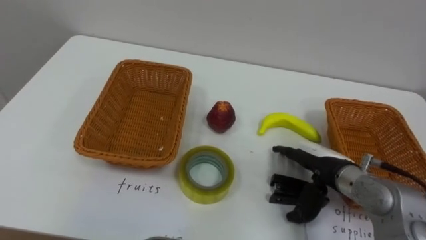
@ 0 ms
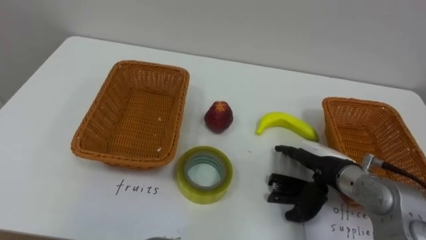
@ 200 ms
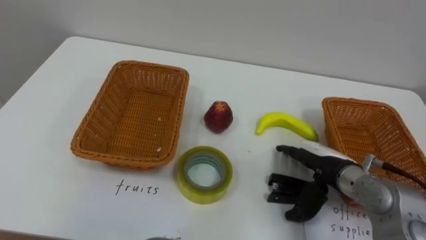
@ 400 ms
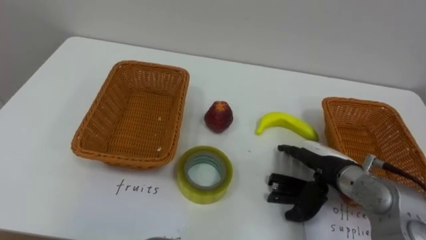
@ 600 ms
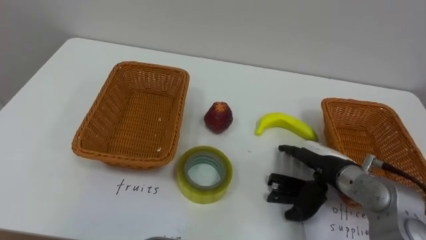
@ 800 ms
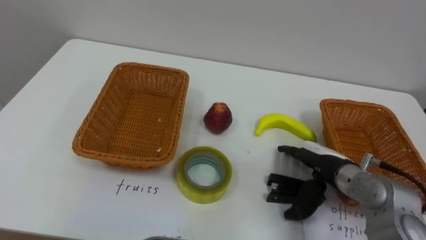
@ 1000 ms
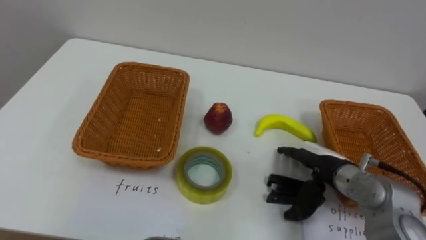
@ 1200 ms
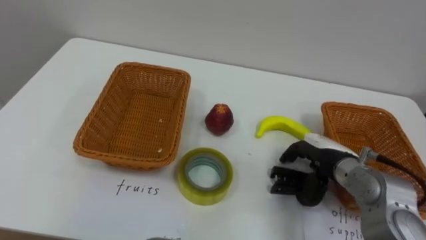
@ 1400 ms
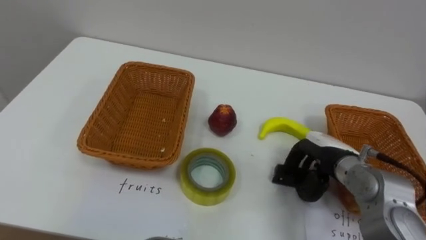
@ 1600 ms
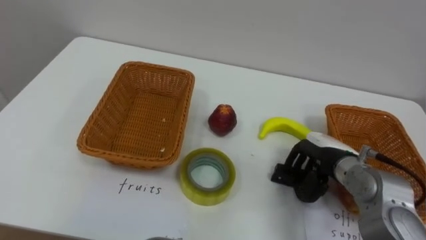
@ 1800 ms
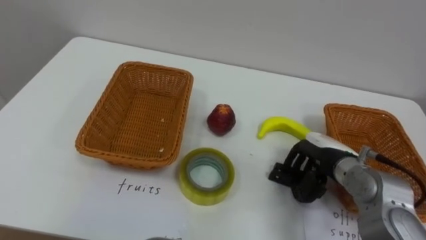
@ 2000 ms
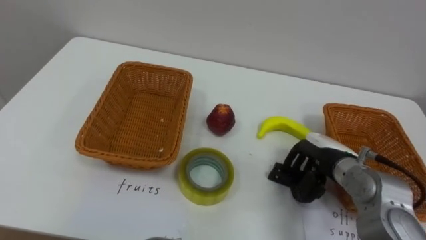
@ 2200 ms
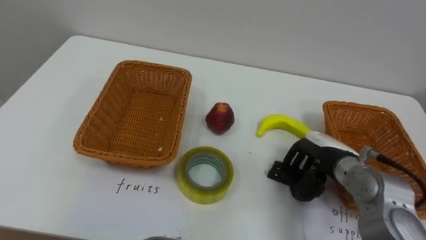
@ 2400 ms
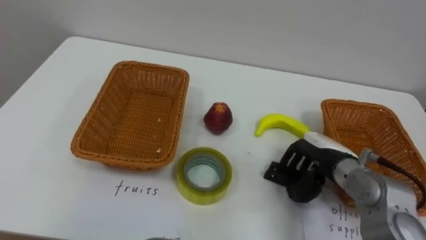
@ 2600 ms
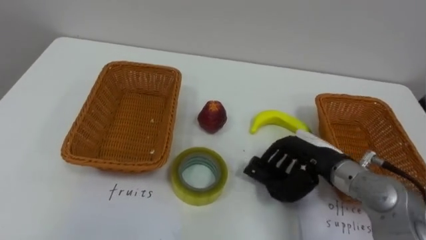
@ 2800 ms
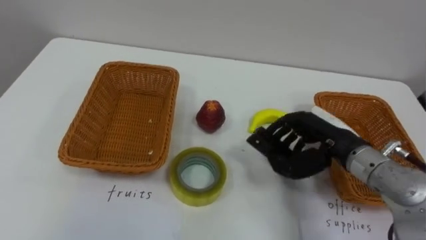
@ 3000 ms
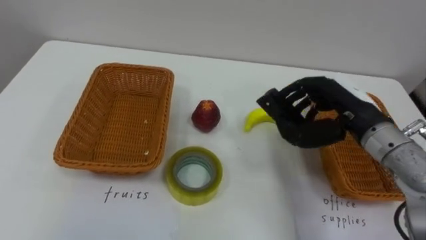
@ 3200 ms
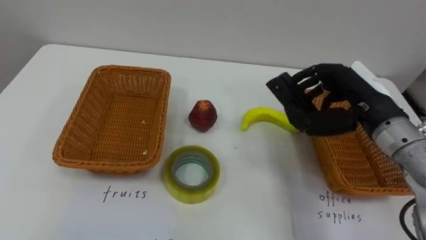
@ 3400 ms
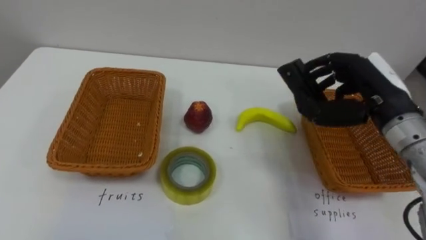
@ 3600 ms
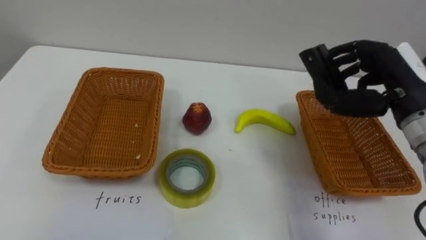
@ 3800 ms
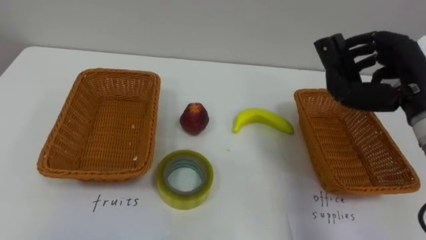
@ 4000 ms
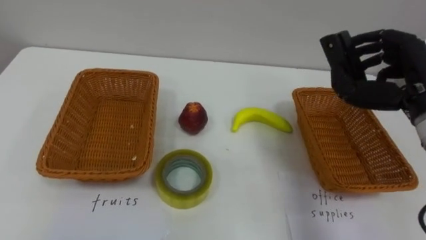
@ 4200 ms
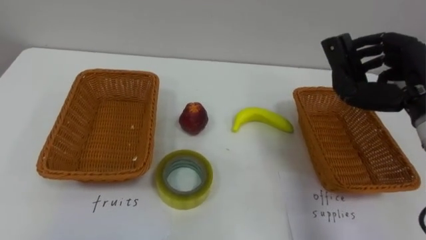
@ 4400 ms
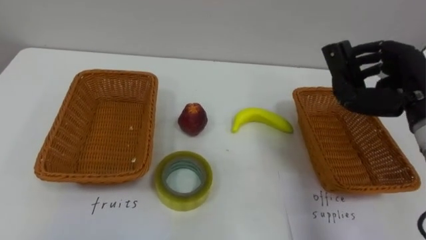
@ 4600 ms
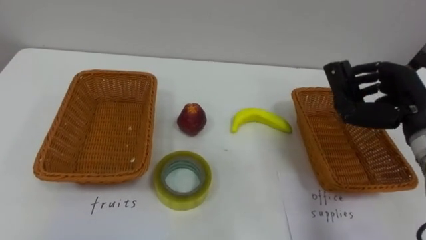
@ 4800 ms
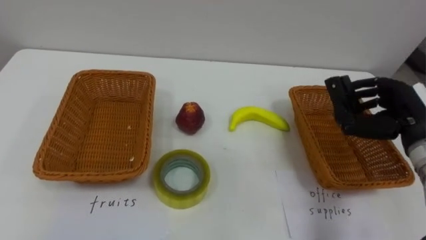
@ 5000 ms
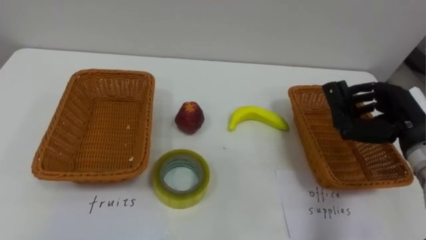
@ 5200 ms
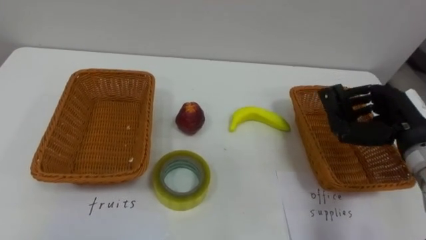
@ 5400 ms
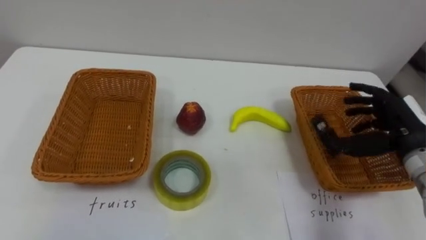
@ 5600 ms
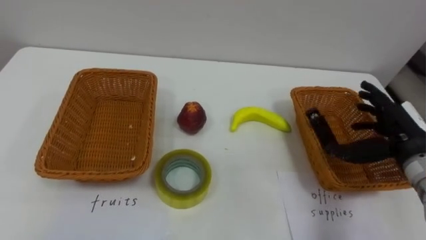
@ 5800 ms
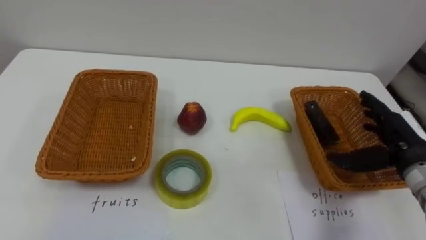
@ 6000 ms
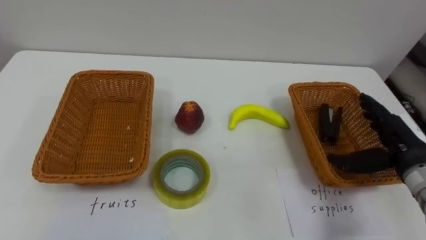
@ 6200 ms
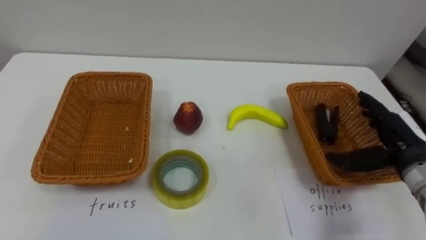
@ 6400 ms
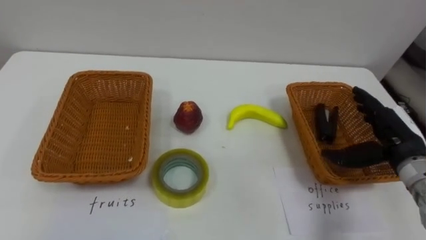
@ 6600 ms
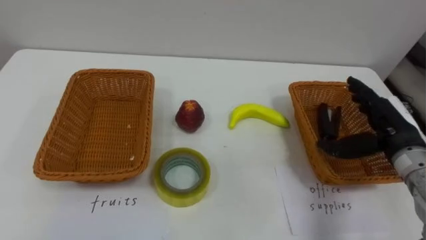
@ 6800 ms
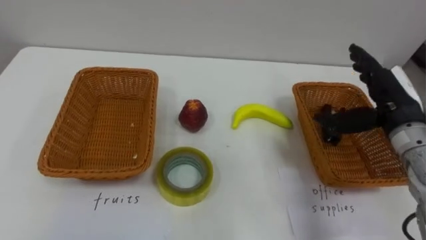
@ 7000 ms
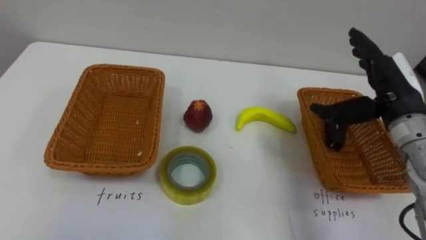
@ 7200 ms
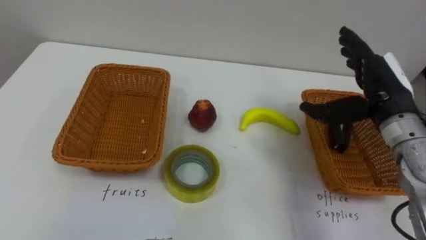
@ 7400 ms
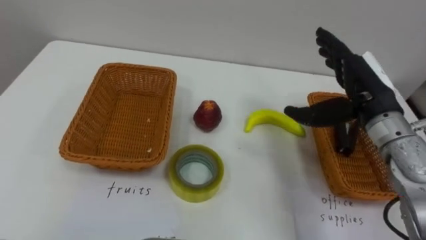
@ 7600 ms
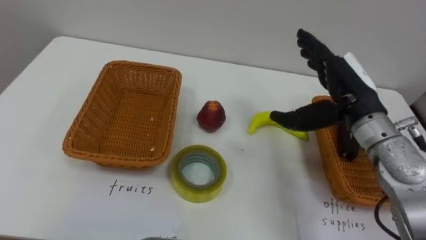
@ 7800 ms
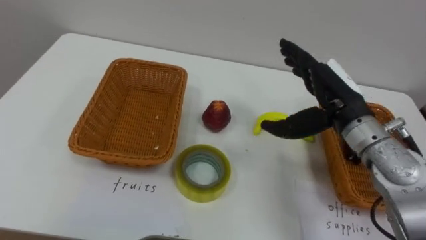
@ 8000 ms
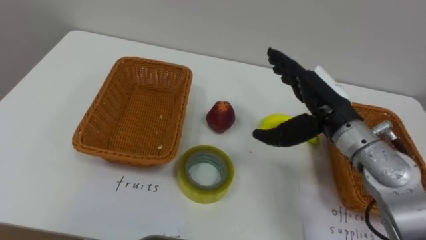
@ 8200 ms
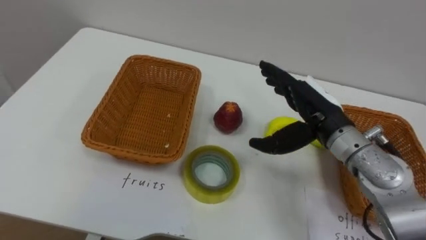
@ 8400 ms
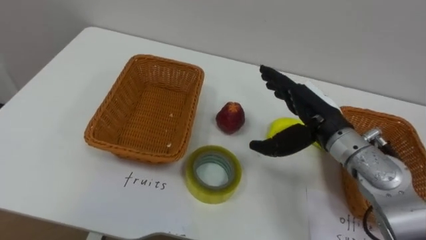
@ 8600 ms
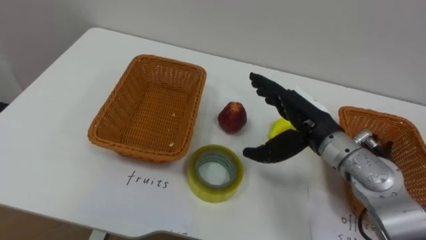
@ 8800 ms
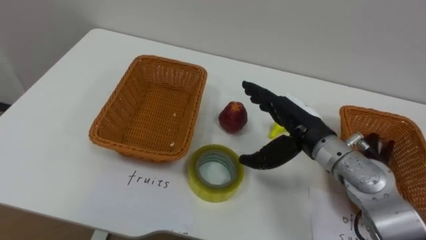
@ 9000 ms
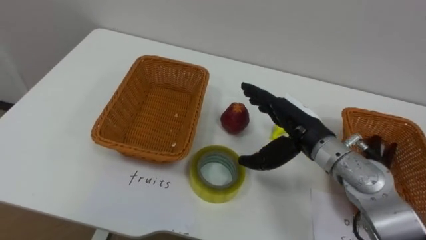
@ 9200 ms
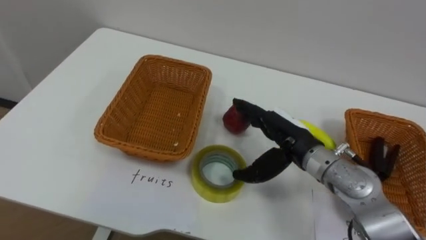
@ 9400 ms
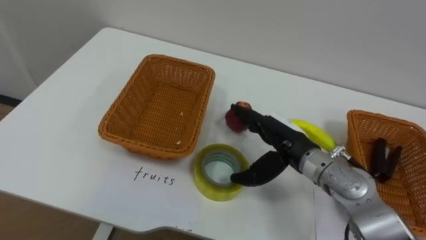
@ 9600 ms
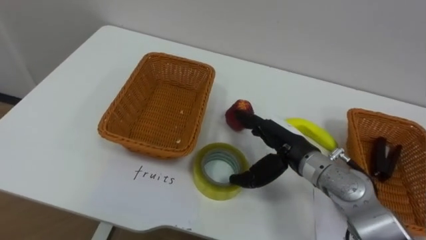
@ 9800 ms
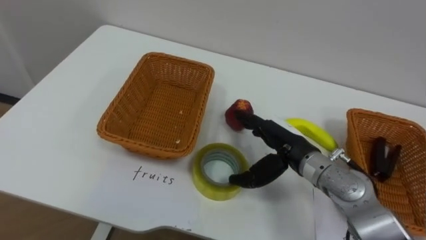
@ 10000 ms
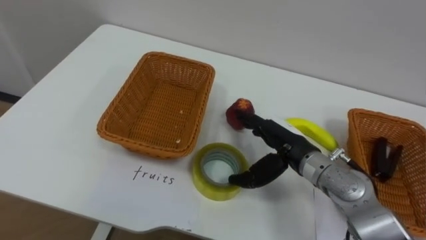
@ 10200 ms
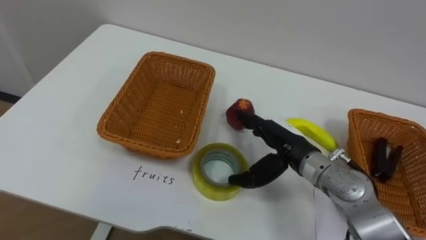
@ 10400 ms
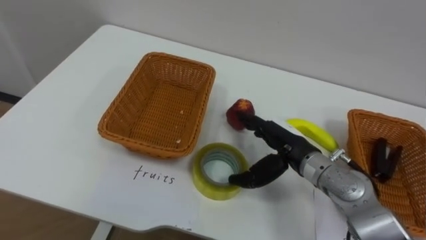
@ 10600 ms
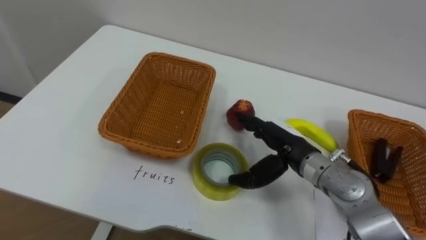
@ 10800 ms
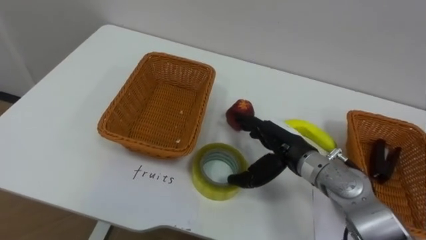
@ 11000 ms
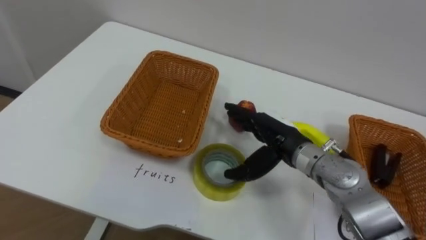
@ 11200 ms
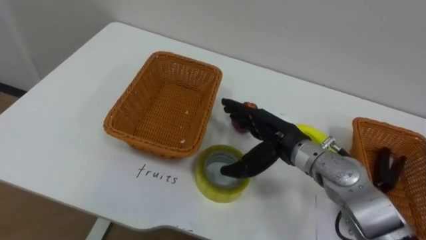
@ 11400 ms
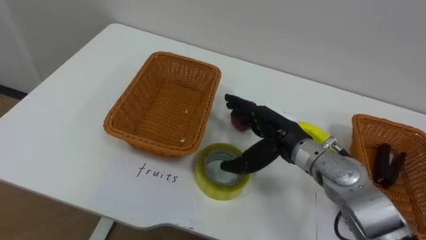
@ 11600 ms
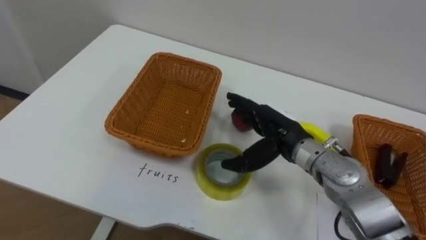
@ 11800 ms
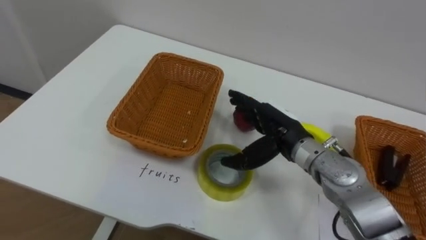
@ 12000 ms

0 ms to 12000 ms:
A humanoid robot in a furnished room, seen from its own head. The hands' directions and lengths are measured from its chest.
Task of the whole recording: Separate the items on the table and place them into the two baskets.
0 ms to 1600 ms: The right hand closes.
1600 ms to 3000 ms: The right hand is displaced upward by some 5 cm.
3000 ms to 4400 ms: The right hand is displaced to the right and upward by some 15 cm.
4400 ms to 6000 ms: The right hand shifts approximately 10 cm downward, and opens.
6000 ms to 7600 ms: The right hand goes roughly 10 cm to the left and upward.
7600 ms to 9000 ms: The right hand travels to the left and downward by some 10 cm.
9000 ms to 10400 ms: The right hand shifts by approximately 5 cm.

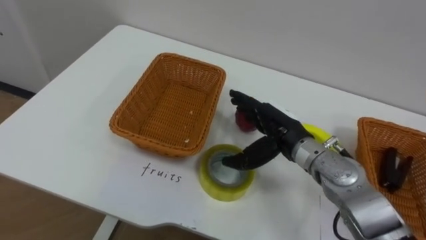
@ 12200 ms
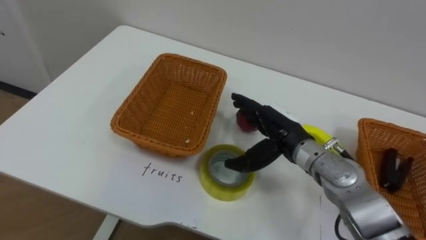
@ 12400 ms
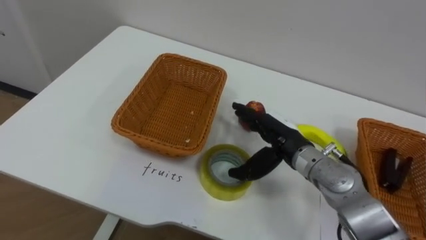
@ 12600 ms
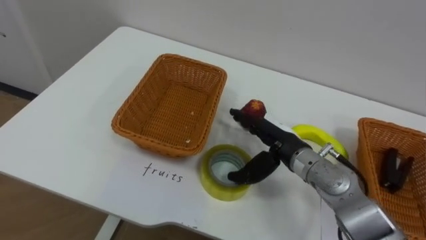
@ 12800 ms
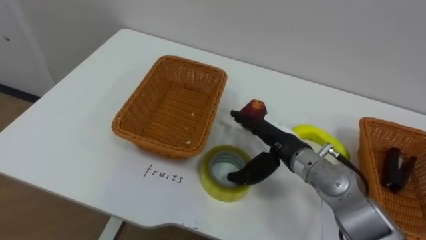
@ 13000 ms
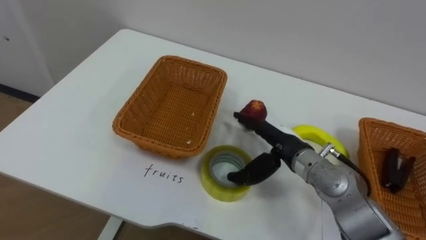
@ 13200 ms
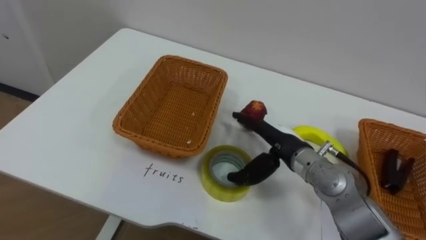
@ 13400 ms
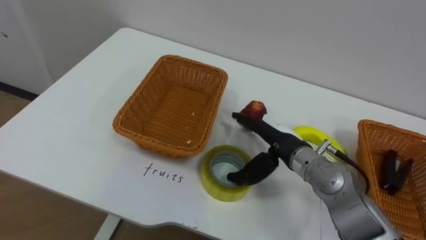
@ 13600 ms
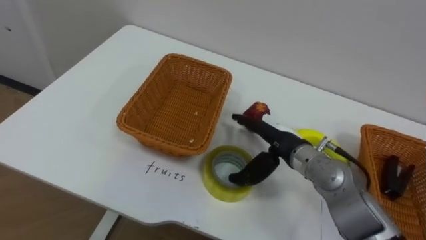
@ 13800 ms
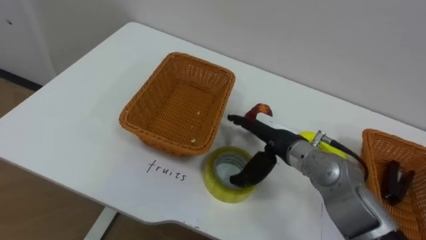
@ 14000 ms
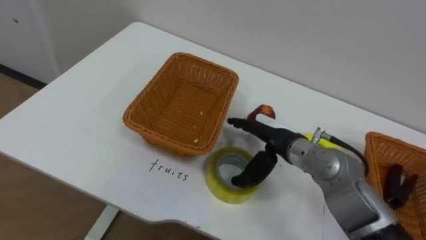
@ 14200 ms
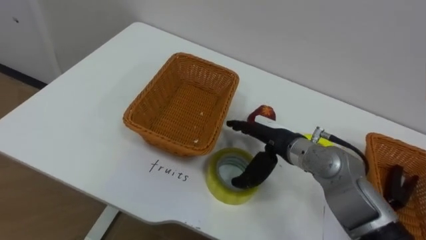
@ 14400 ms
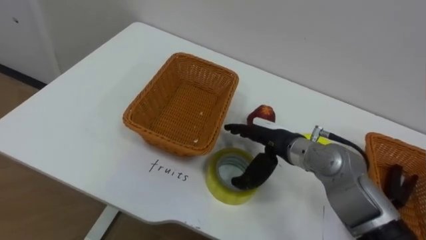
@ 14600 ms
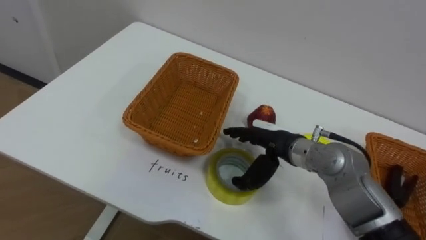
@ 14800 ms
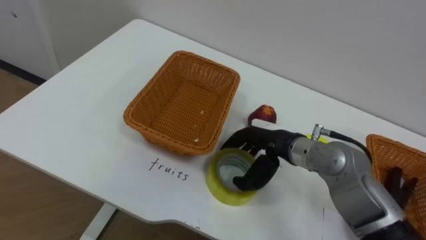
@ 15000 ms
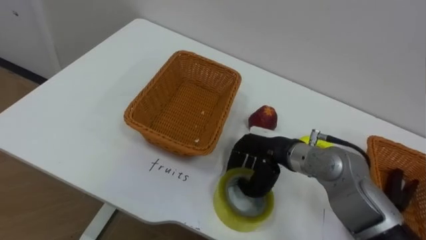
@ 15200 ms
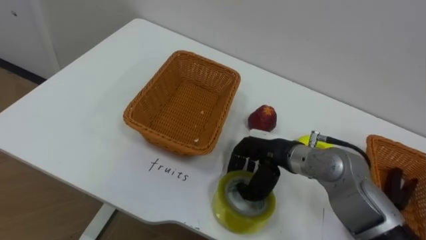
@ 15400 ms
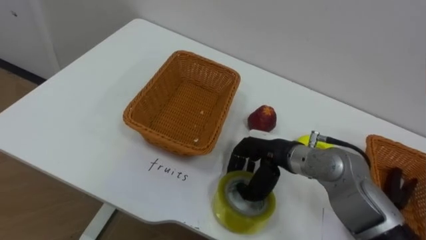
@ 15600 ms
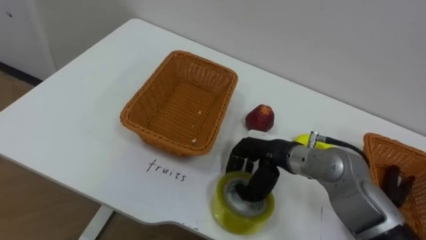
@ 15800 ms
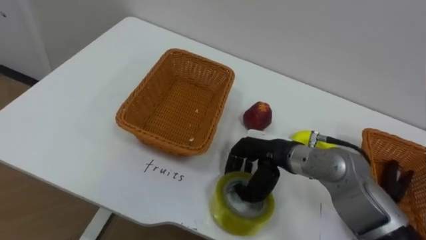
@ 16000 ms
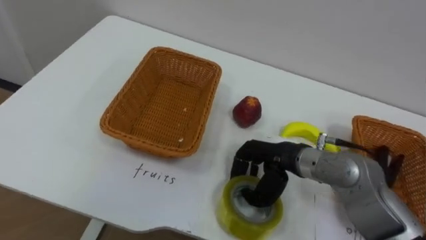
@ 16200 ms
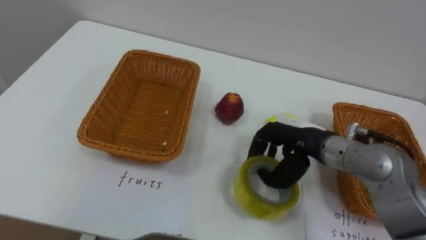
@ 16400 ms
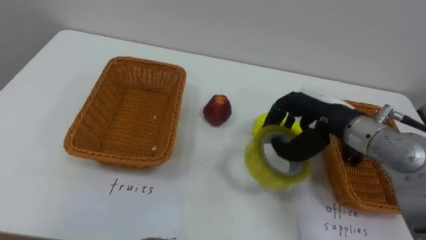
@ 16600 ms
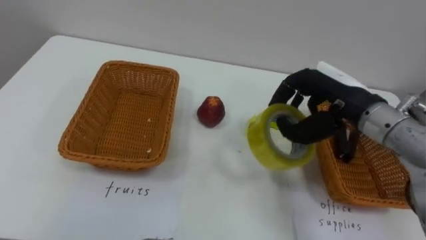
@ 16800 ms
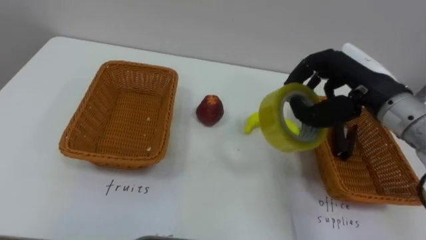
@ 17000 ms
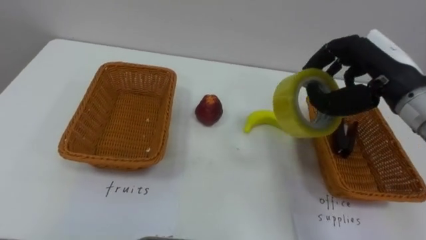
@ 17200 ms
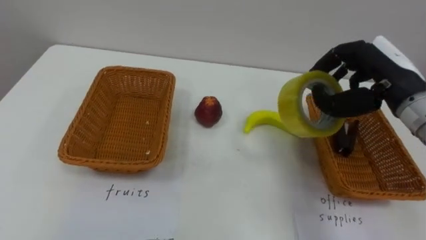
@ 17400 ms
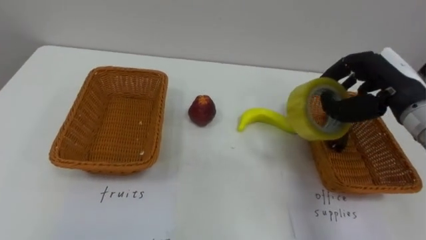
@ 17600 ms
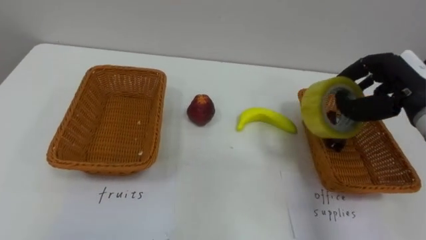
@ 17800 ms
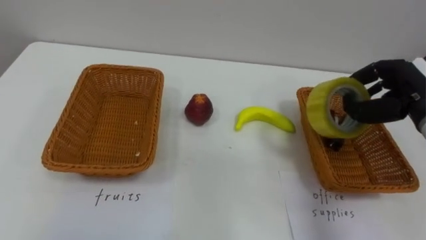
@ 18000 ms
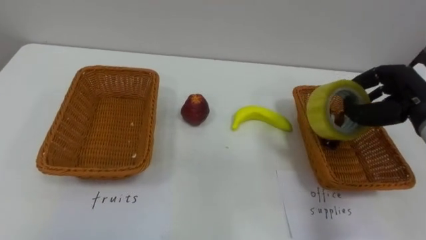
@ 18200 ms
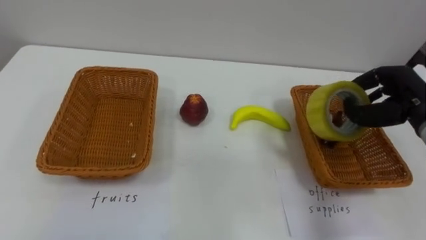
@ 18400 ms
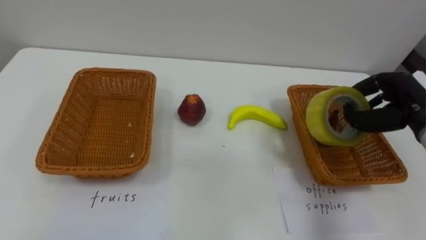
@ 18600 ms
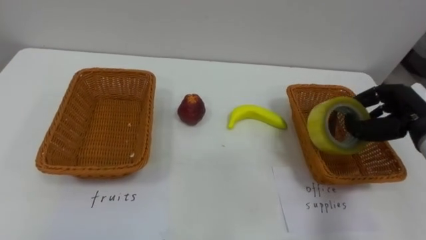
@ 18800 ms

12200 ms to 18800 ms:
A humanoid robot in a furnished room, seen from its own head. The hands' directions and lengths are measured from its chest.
Task of the whole recording: Separate the items on the table and place them into the two baskets.
13800 ms to 15400 ms: The right hand closes up.
15400 ms to 17200 ms: The right hand moves upward and to the right, roughly 20 cm.
17200 ms to 18800 ms: The right hand moves downward and to the right, about 15 cm.
